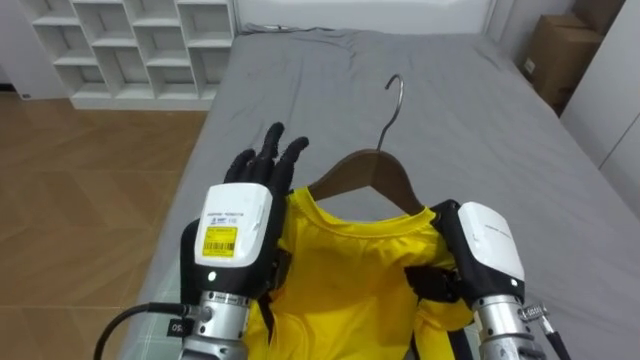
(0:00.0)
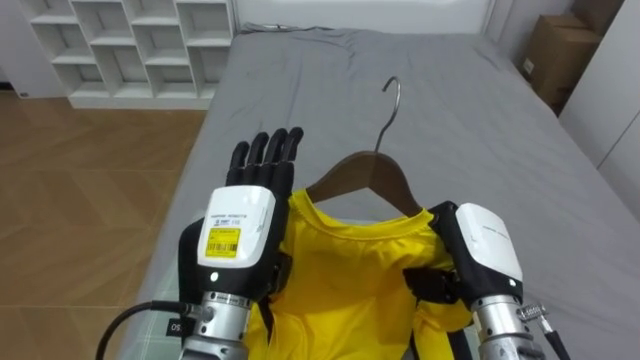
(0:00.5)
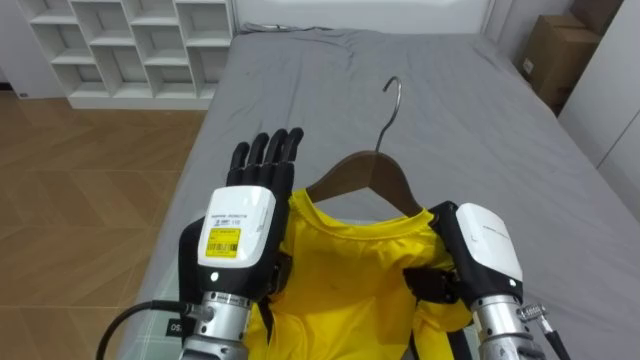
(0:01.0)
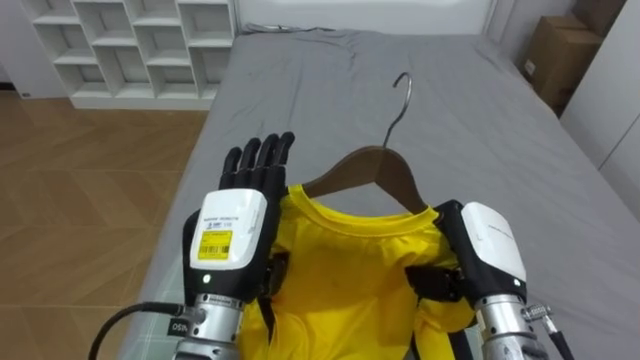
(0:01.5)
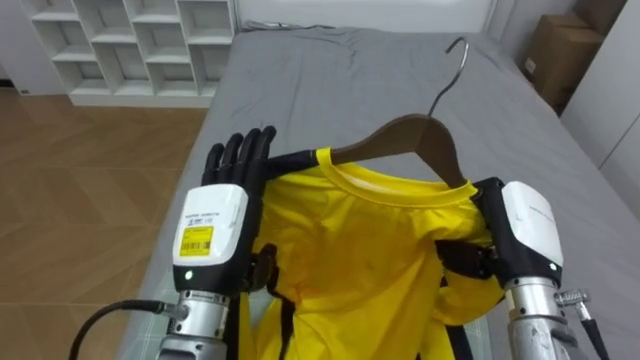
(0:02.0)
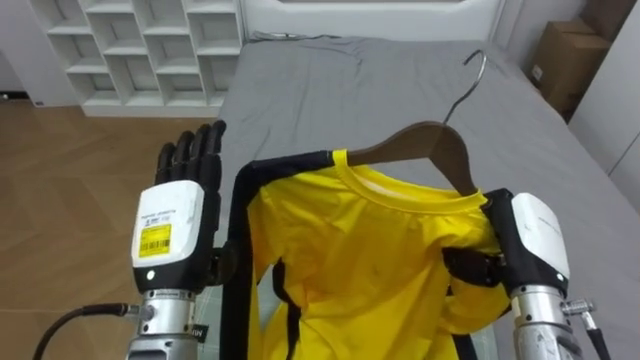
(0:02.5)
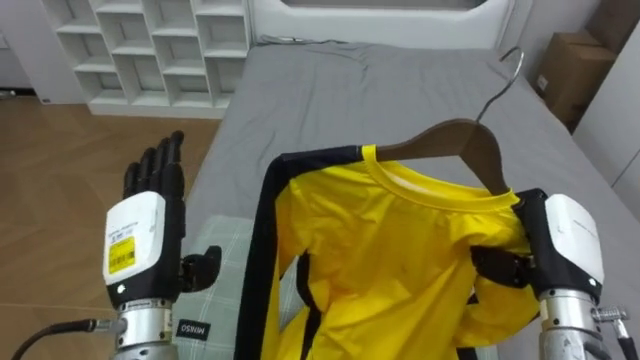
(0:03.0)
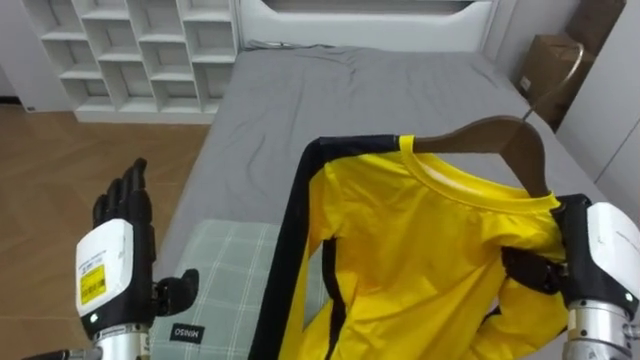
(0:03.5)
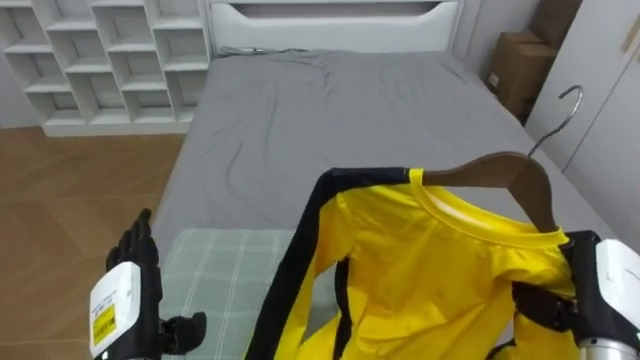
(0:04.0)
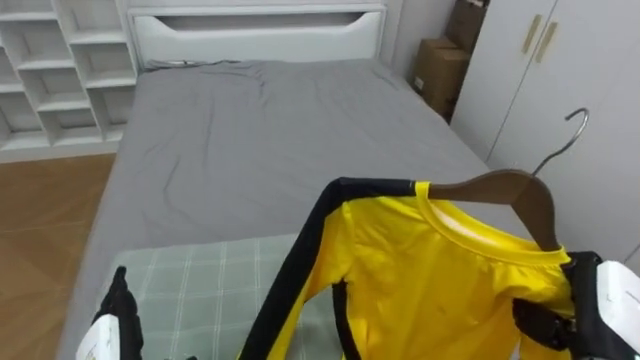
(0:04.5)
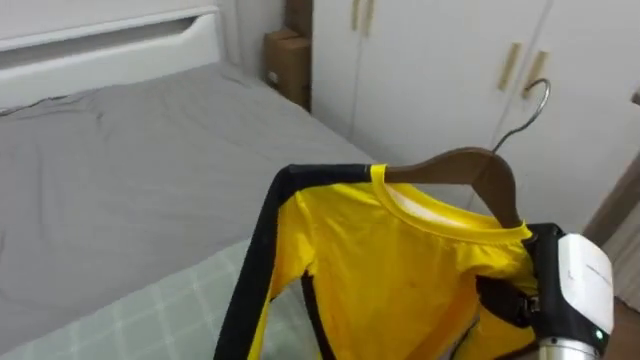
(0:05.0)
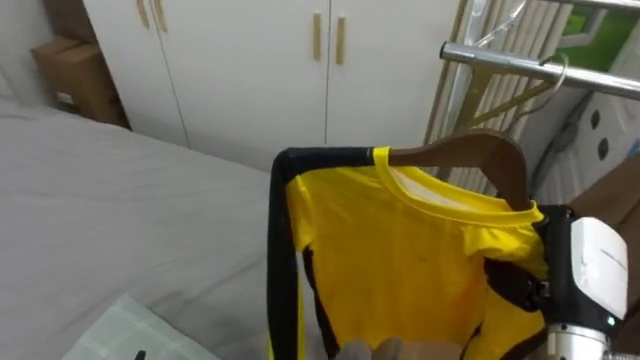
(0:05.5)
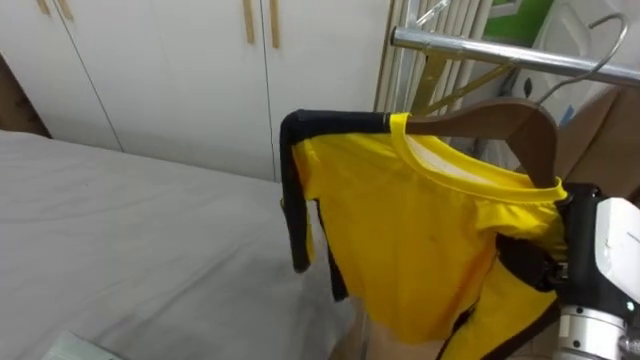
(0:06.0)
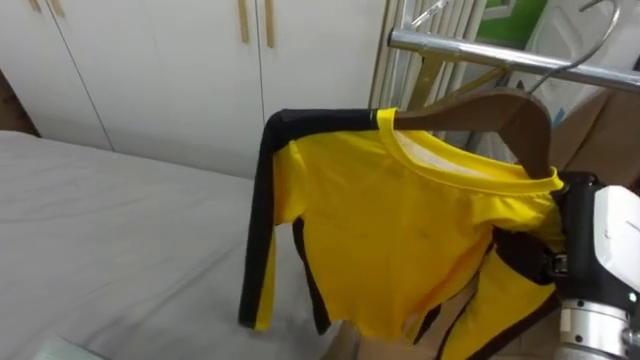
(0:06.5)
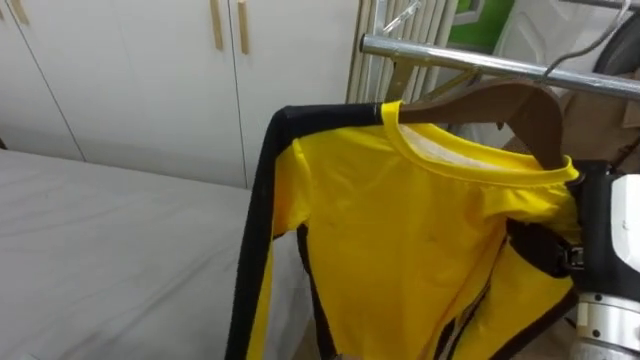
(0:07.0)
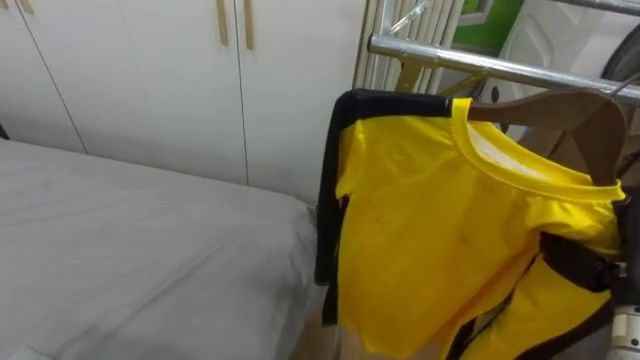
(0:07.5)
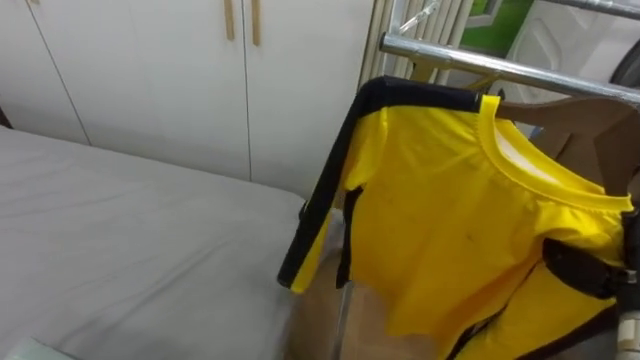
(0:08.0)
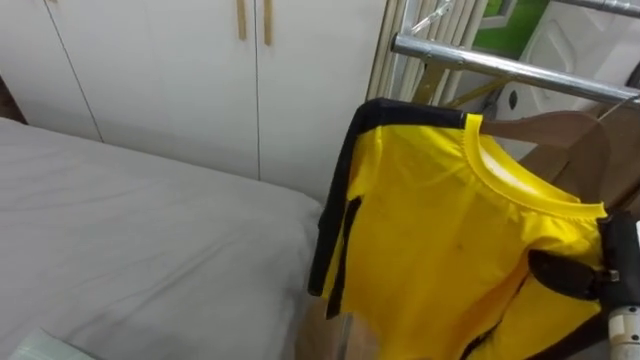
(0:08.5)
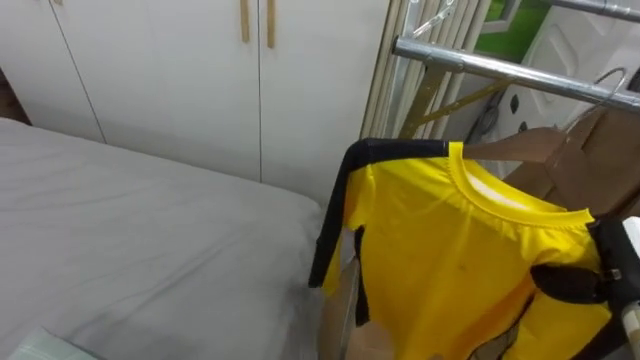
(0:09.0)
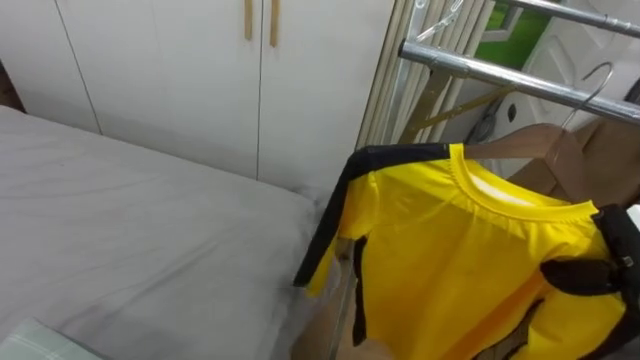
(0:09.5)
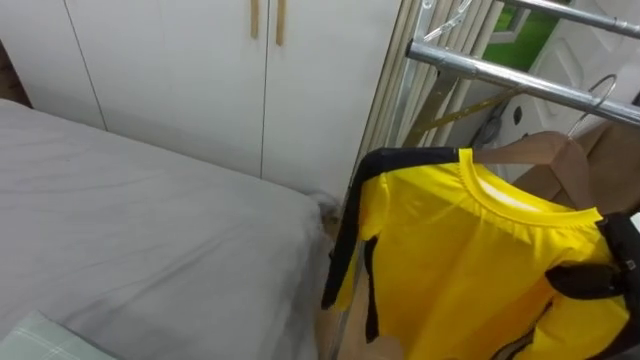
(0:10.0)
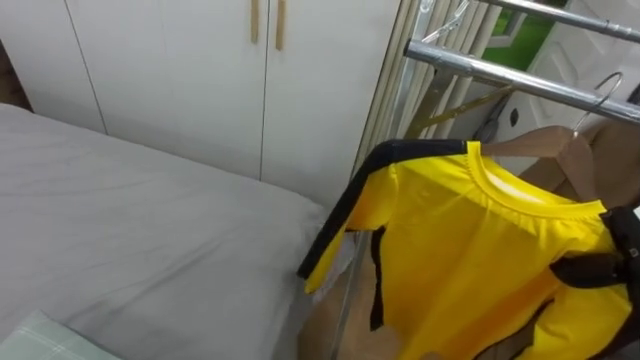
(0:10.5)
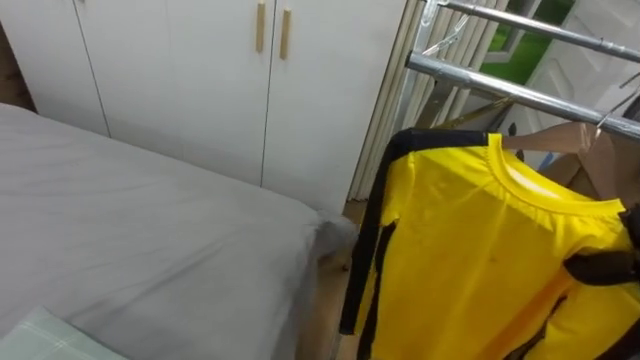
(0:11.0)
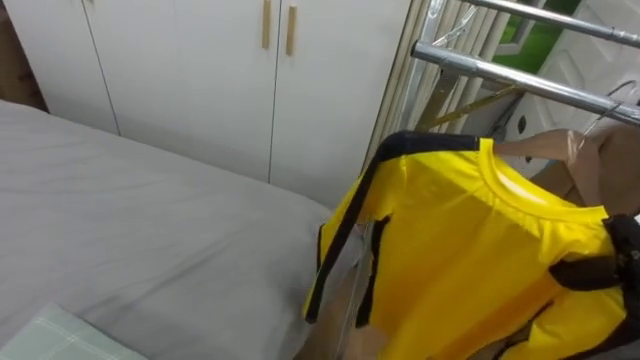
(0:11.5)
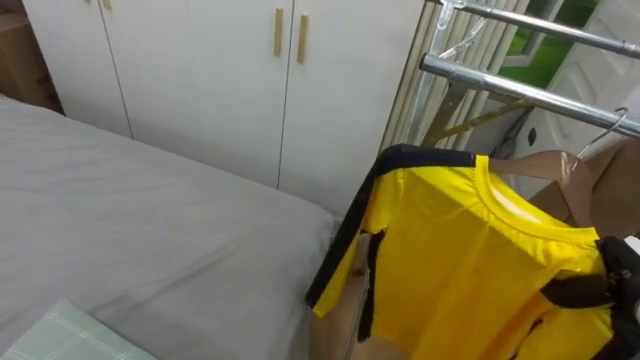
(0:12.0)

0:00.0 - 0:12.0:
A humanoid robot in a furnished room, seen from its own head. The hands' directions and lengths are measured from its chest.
Task of the whole recording: Pick up the yellow shirt on the bed and hang it on the clothes rack on the right.
0:02.0 - 0:04.0: The left hand travels to the left and downward by some 15 cm. Meanwhile the right hand heads to the right and backward, covering roughly 10 cm.
0:04.0 - 0:06.0: The robot rotates approximately 75 degrees to its right. The right hand heads upward, covering about 5 cm.
0:06.0 - 0:08.0: The right hand shifts approximately 5 cm to the right.
0:08.0 - 0:10.0: The right hand shifts by roughly 5 cm.

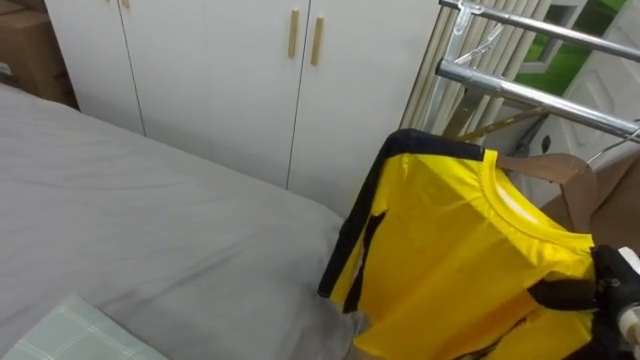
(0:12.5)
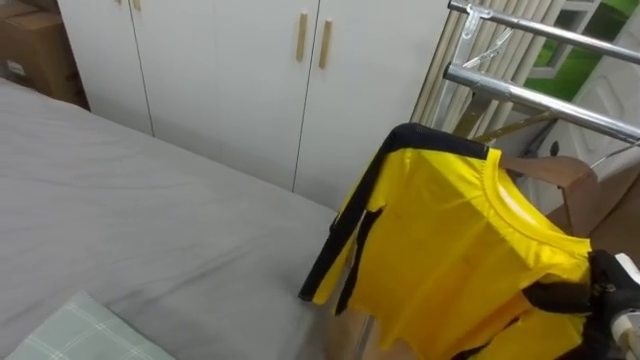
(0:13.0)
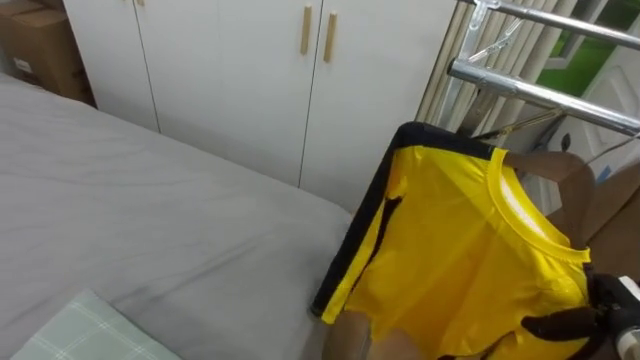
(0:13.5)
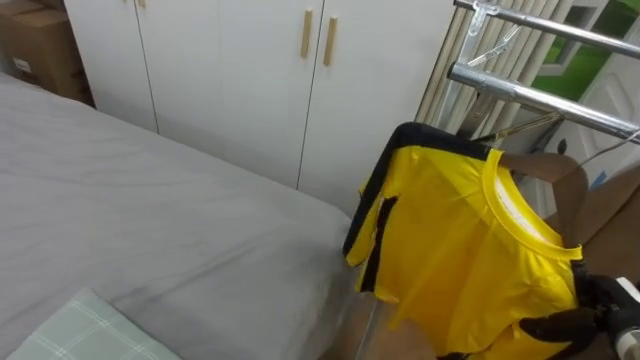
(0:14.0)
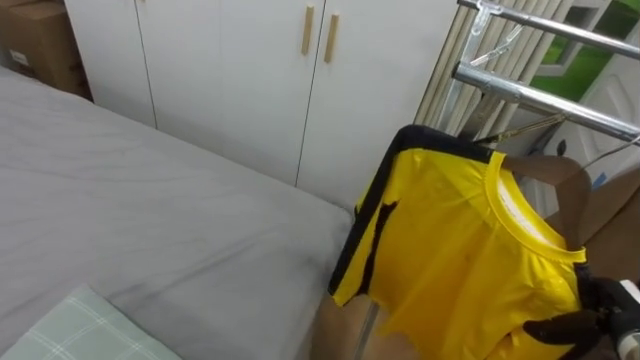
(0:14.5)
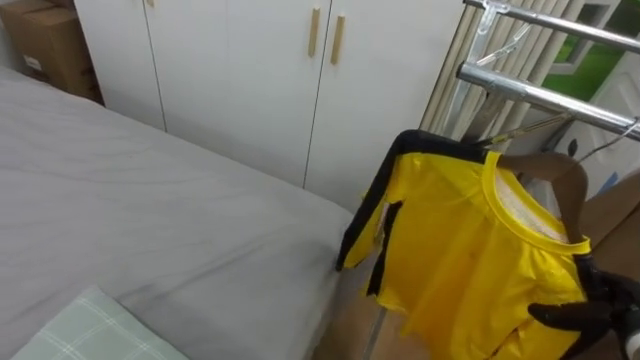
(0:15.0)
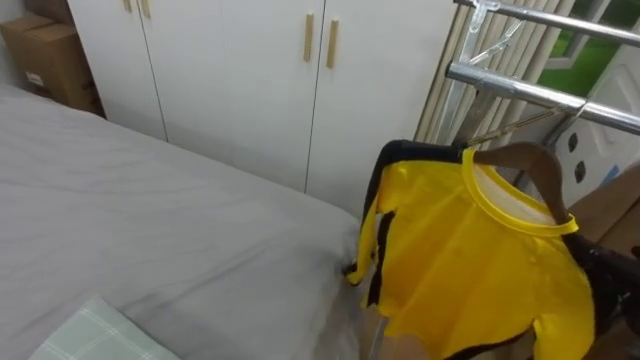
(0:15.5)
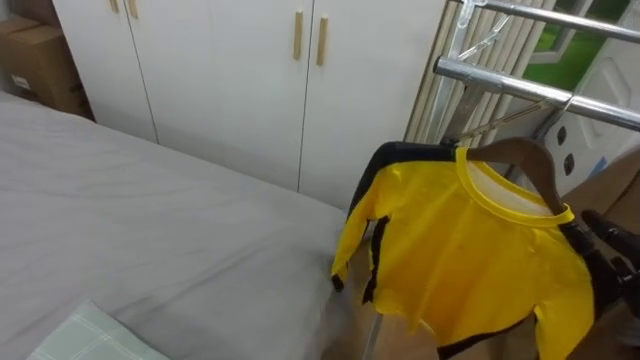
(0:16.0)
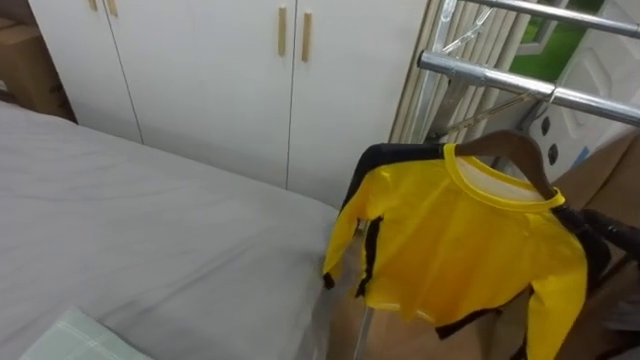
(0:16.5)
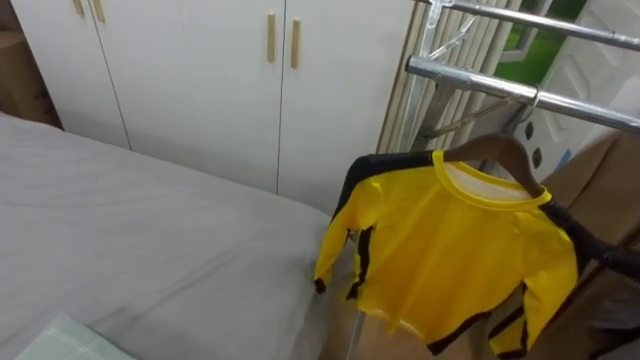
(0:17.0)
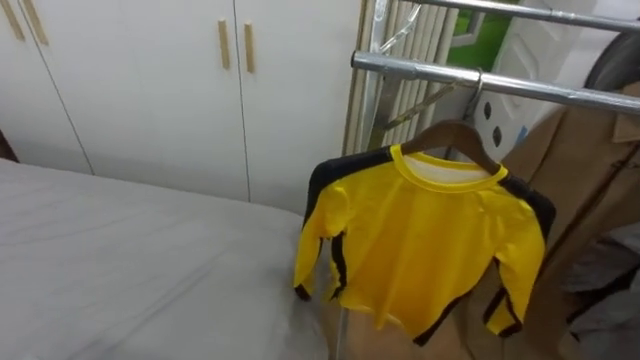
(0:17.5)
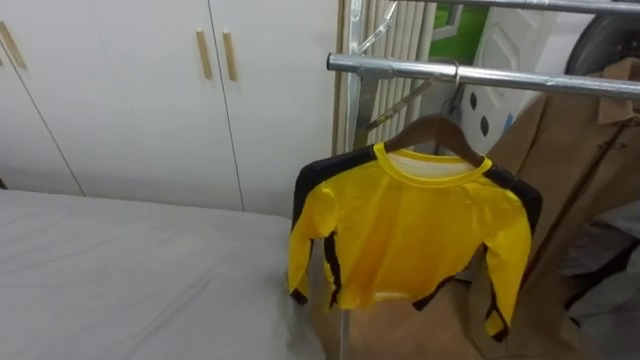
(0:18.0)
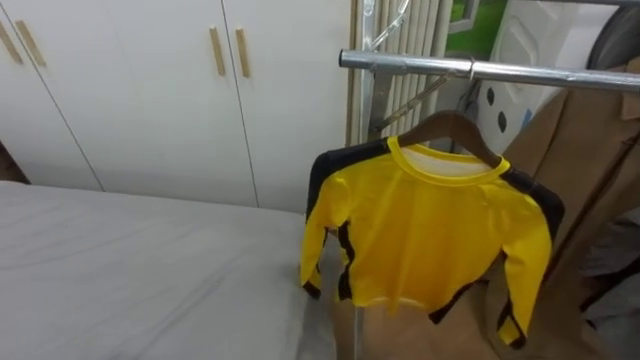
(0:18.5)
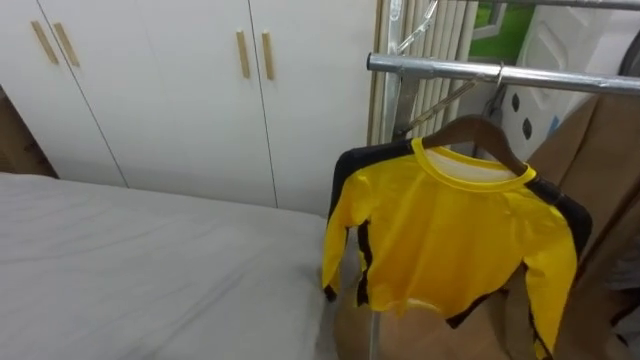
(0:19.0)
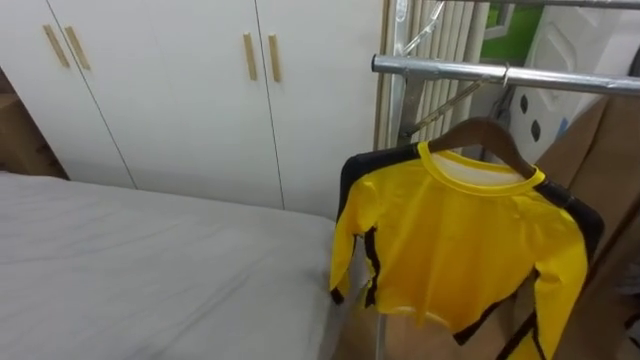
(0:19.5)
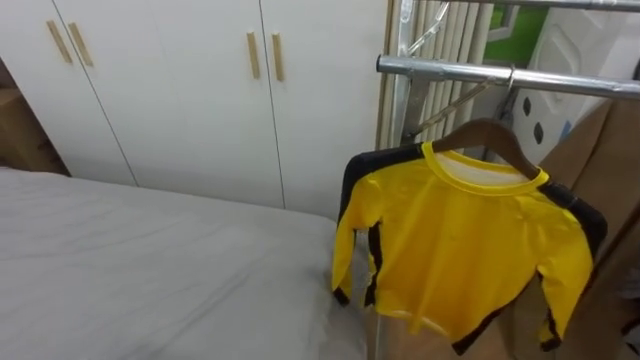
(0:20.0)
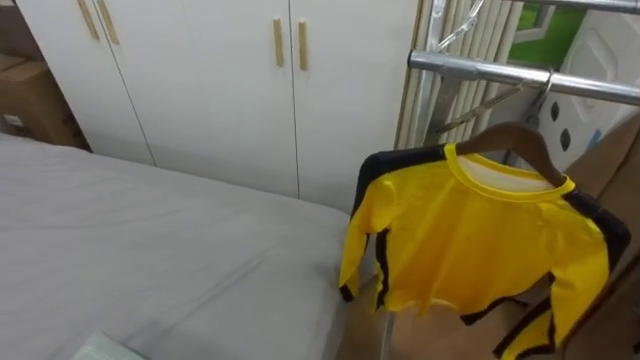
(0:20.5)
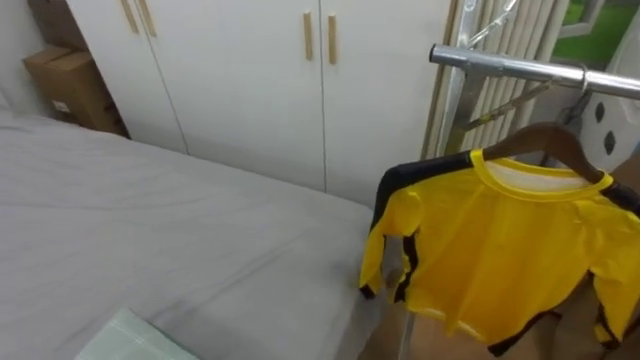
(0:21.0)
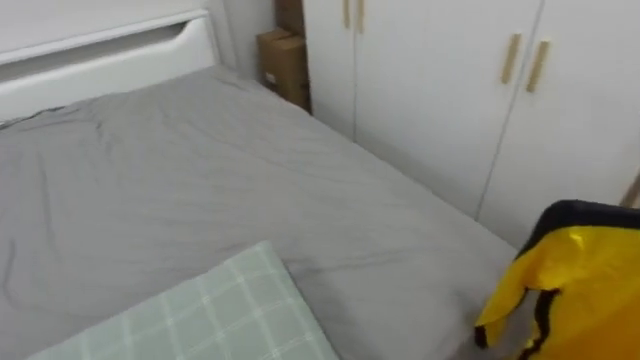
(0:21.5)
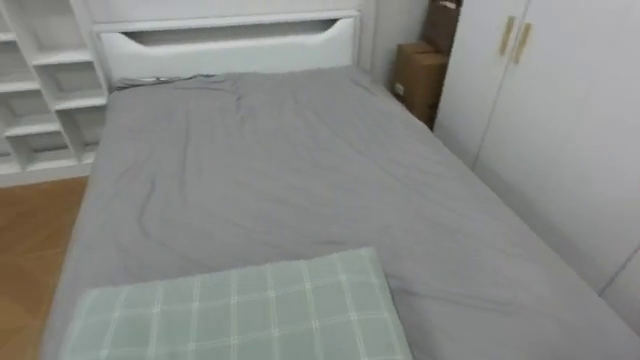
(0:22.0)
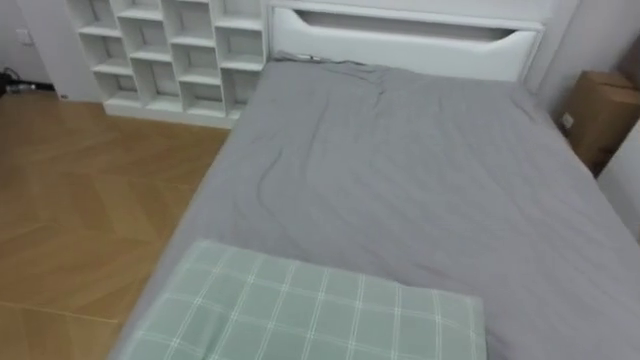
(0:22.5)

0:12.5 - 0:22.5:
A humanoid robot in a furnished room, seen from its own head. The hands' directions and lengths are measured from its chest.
Task of the whole recording: Pick up the yellow shirt on the bed and hang it on the clothes rack on the right.
0:12.5 - 0:14.5: The right hand opens.
0:20.5 - 0:22.5: The robot rotates approximately 75 degrees to its left.
